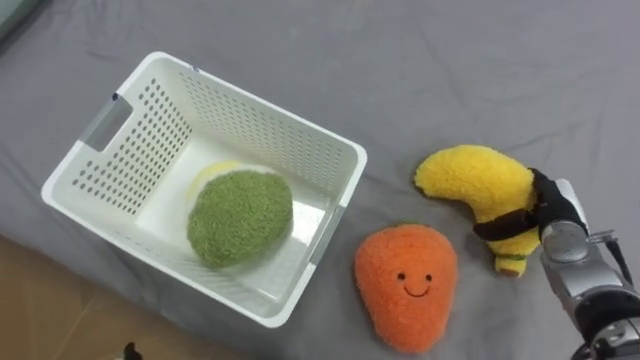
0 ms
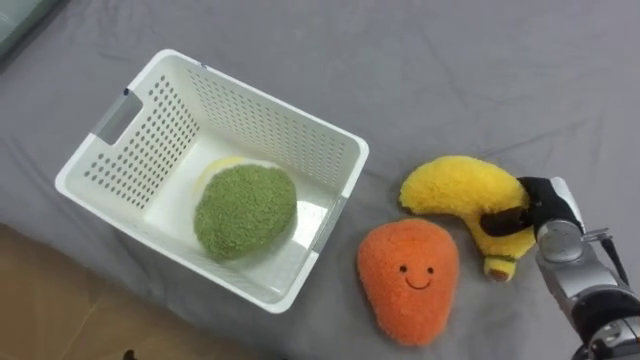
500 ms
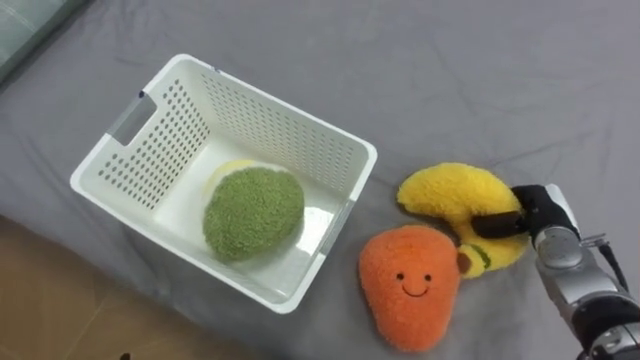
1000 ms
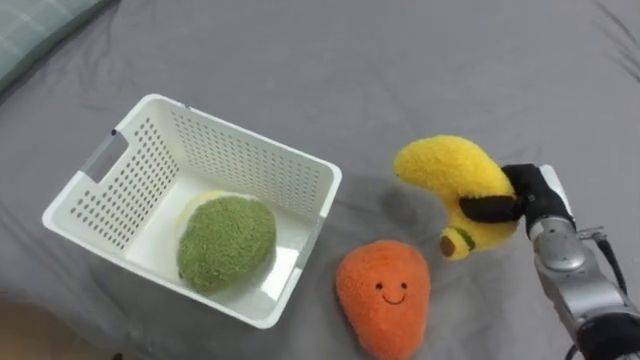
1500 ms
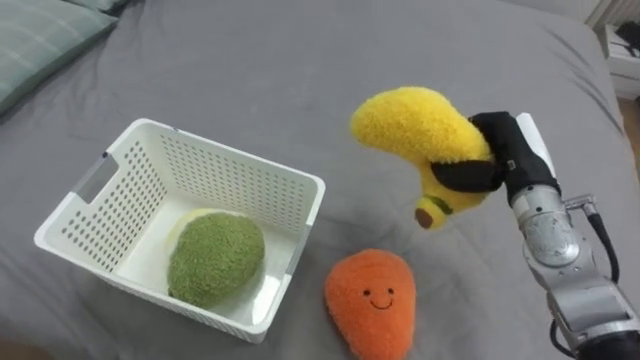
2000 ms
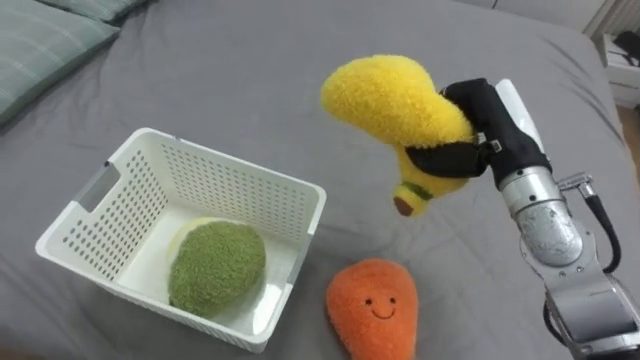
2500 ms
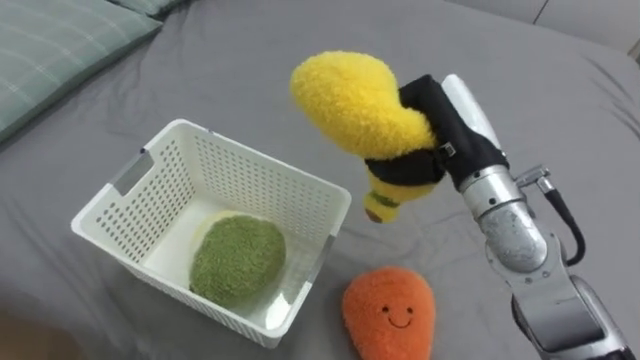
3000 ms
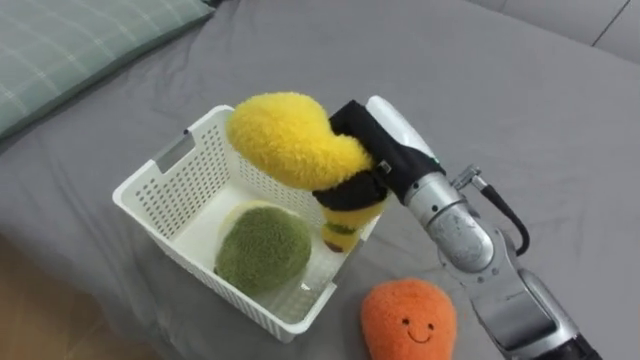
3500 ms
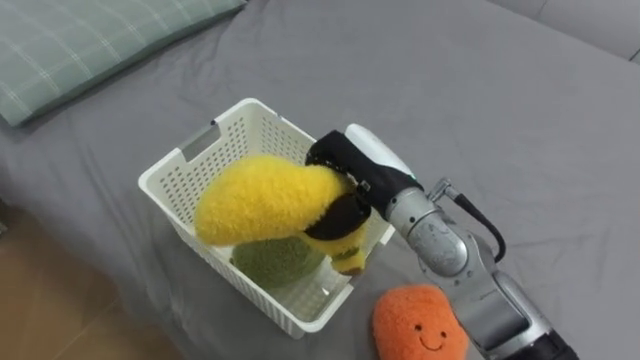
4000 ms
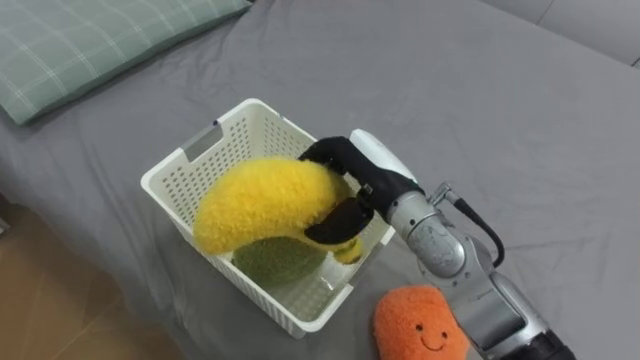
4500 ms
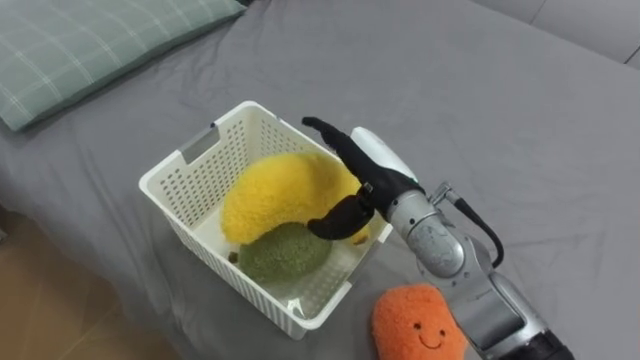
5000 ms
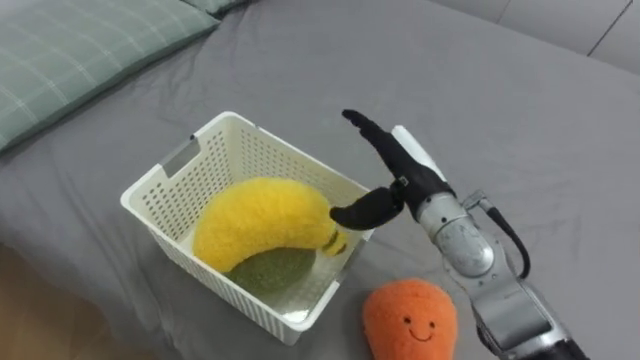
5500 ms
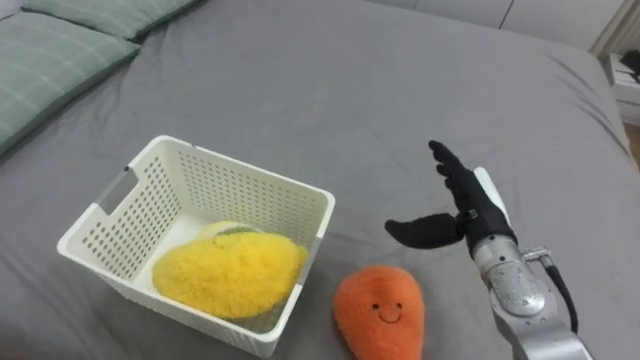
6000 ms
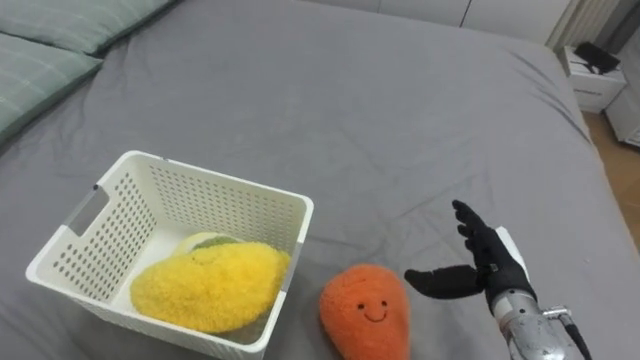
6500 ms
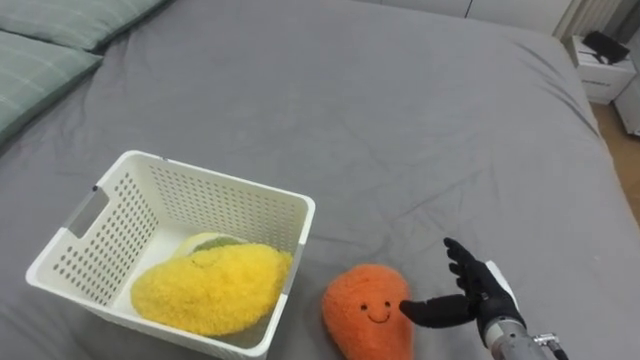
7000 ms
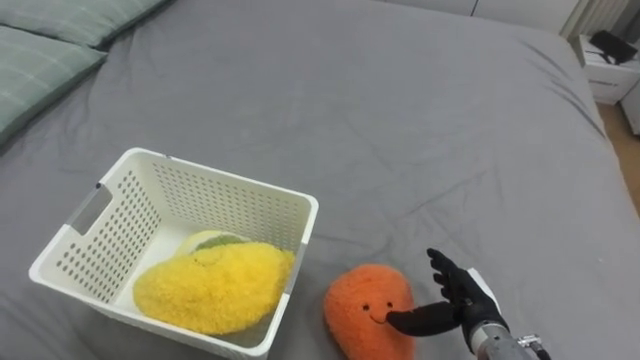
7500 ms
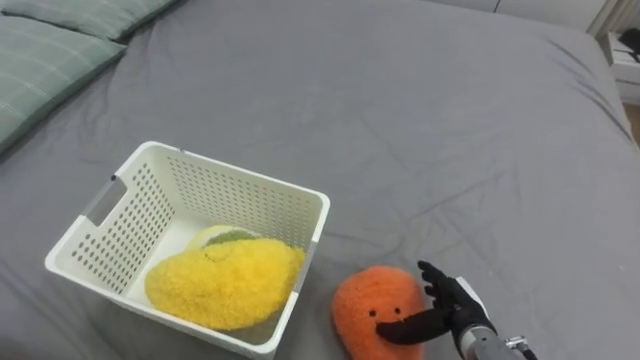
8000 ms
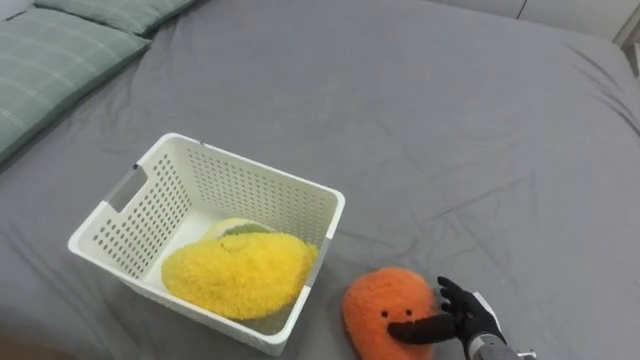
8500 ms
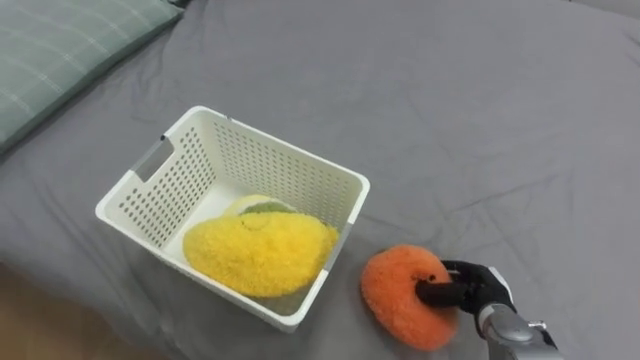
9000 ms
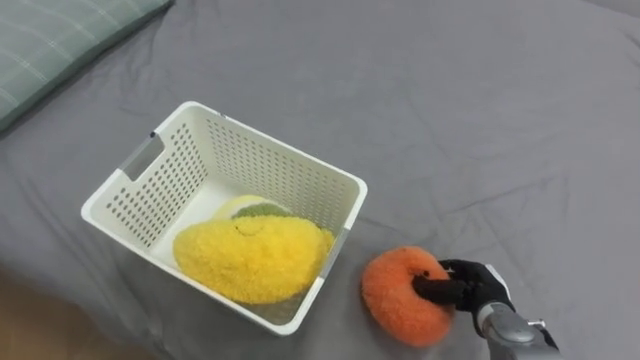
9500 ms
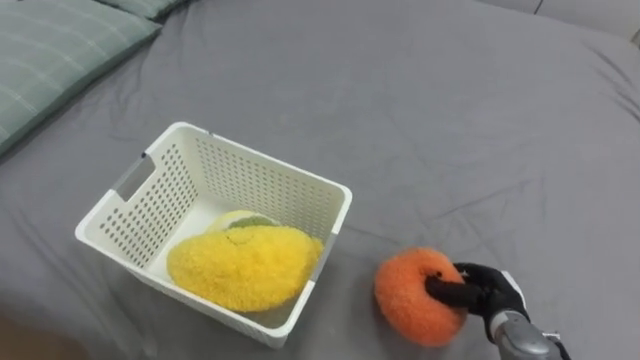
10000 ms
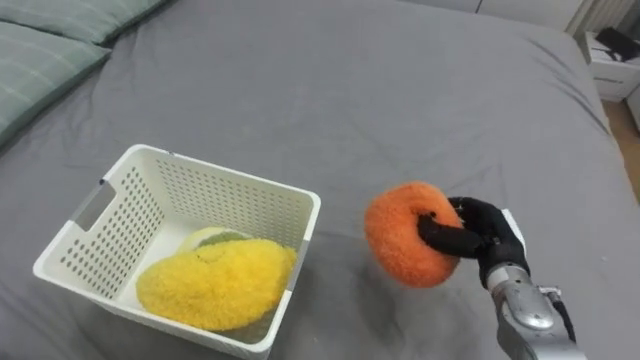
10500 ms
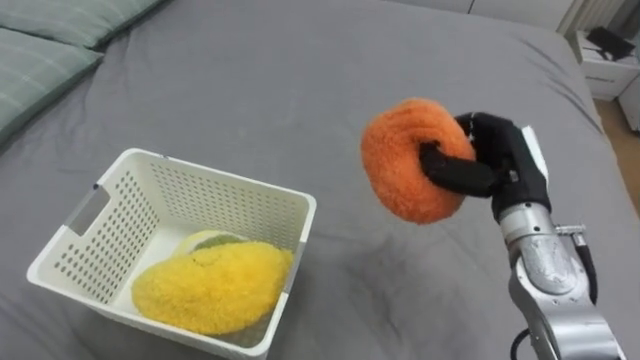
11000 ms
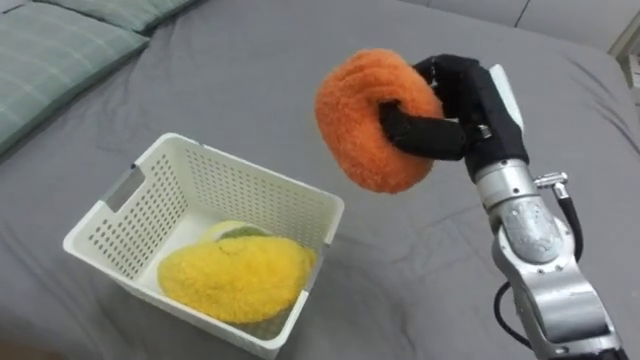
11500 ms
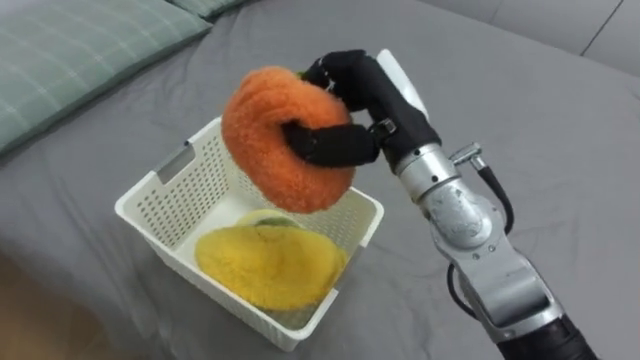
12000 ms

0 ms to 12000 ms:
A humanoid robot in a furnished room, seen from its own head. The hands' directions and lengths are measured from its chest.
Task of the whole recording: Put the toys on the bed into the basket on the left.
0 ms to 2000 ms: The right hand shifts some 10 cm upward and to the left, and closes.
2000 ms to 4000 ms: The right hand is displaced to the left by approximately 20 cm.
4000 ms to 6000 ms: The right hand heads to the right and downward, covering about 15 cm, and opens its fingers.
6000 ms to 8000 ms: The right hand goes about 15 cm downward and backward.
8000 ms to 10000 ms: The right hand shifts some 5 cm to the right, and closes its fingers.
10000 ms to 12000 ms: The right hand moves upward and to the left, roughly 35 cm.

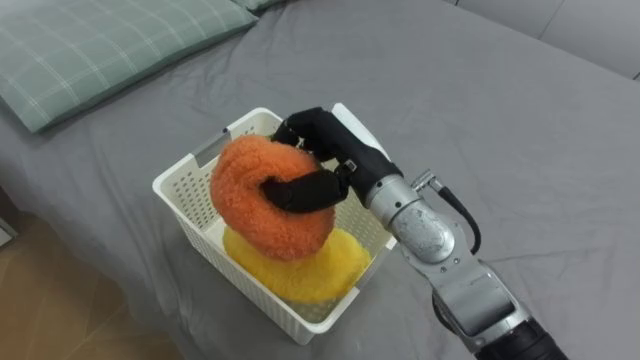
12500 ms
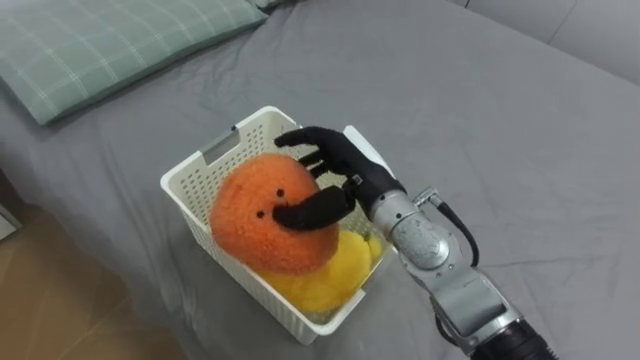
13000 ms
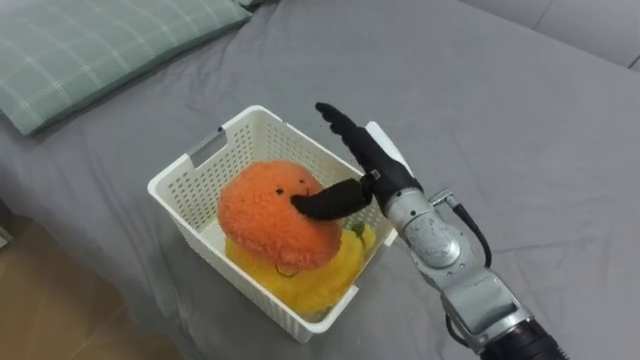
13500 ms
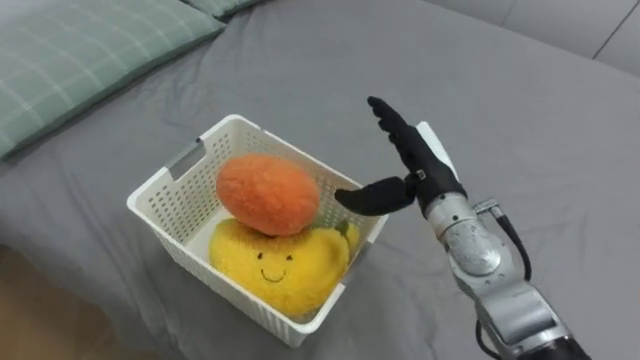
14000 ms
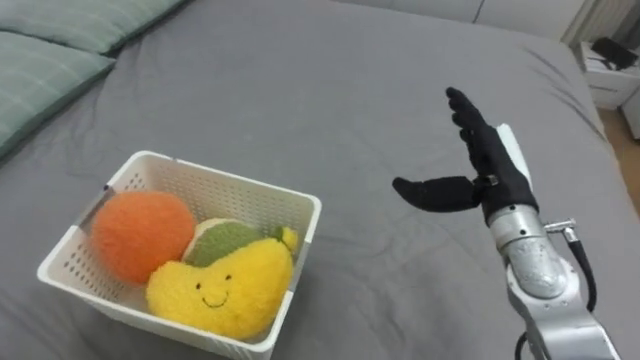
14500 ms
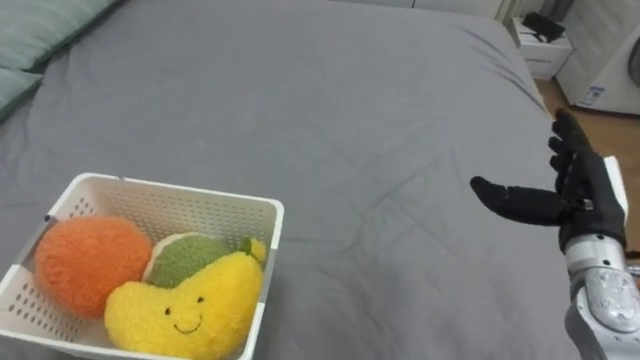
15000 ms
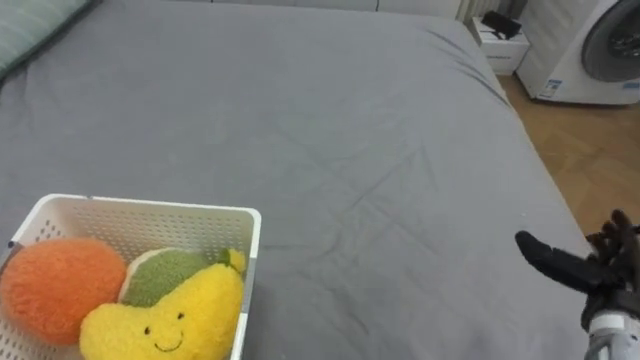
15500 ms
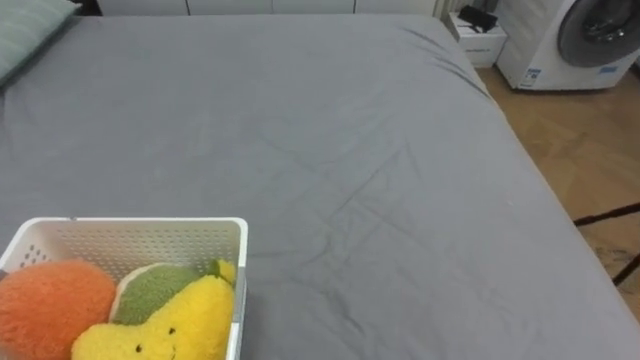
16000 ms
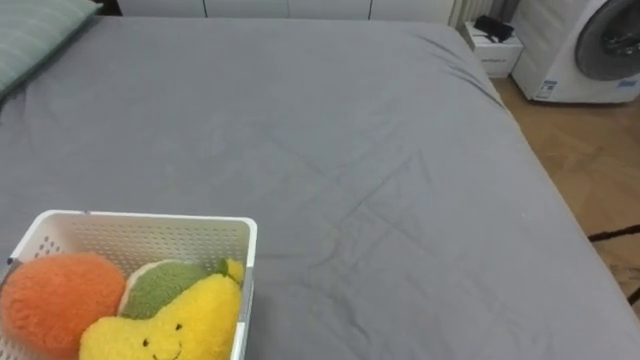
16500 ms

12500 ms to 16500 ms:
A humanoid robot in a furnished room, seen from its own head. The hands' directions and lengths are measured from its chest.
Task of the whole recording: Put the toys on the bed into the basket on the left.
12500 ms to 14500 ms: The right hand goes about 15 cm to the right, and opens its fingers.

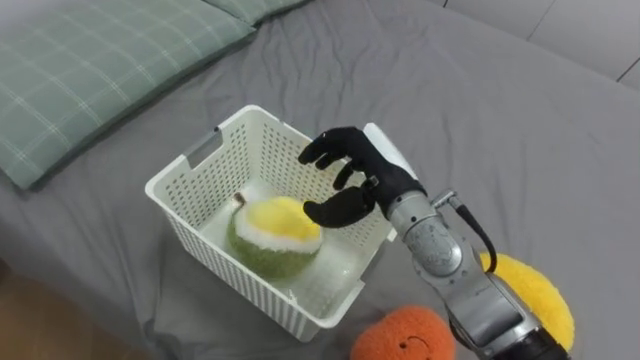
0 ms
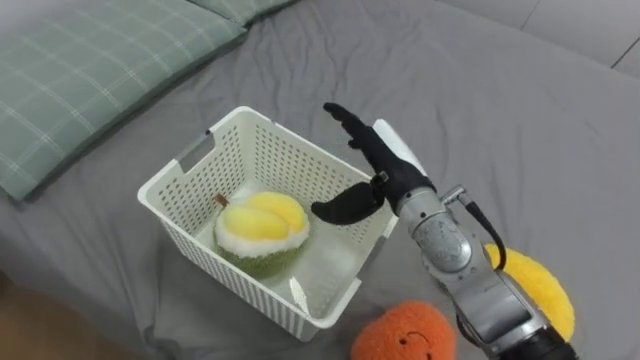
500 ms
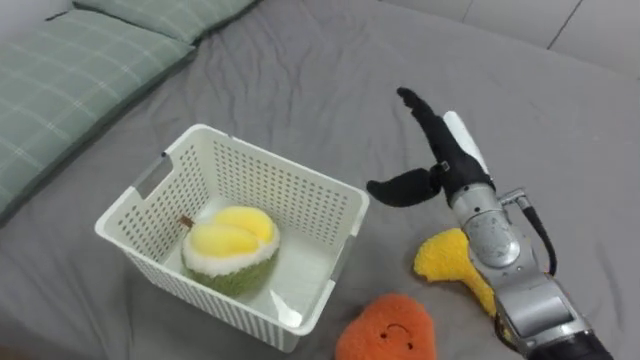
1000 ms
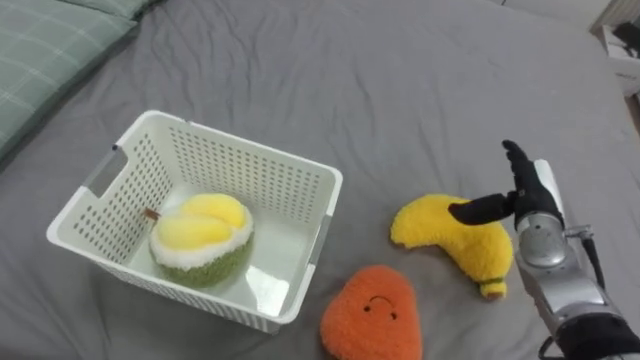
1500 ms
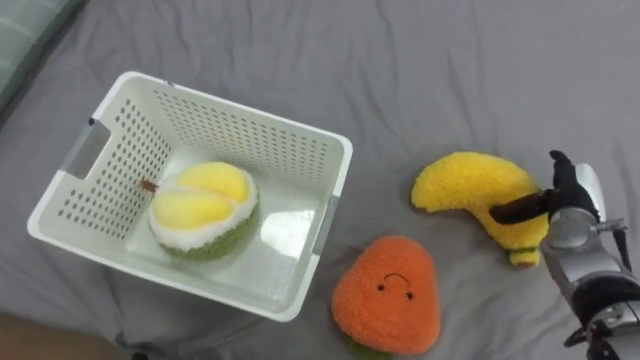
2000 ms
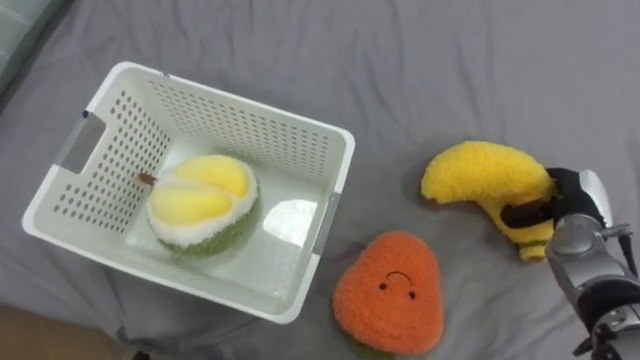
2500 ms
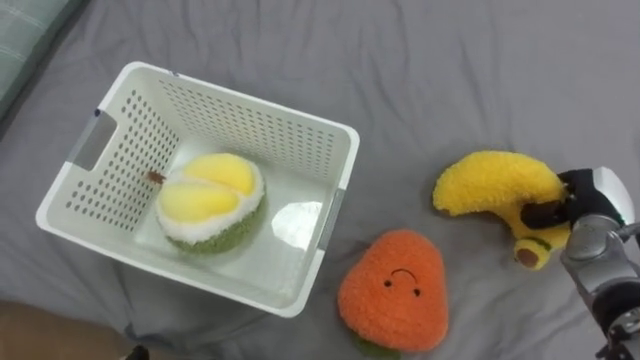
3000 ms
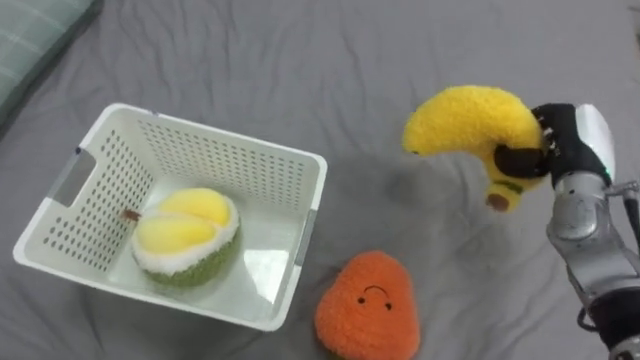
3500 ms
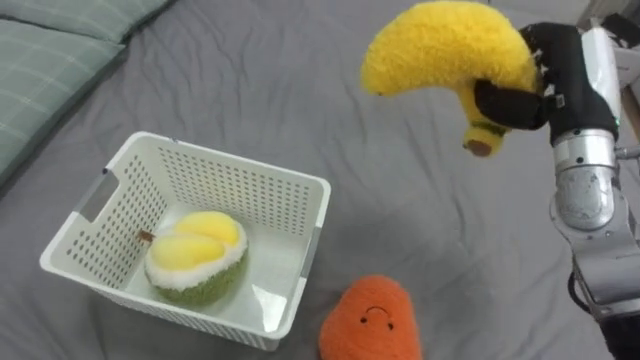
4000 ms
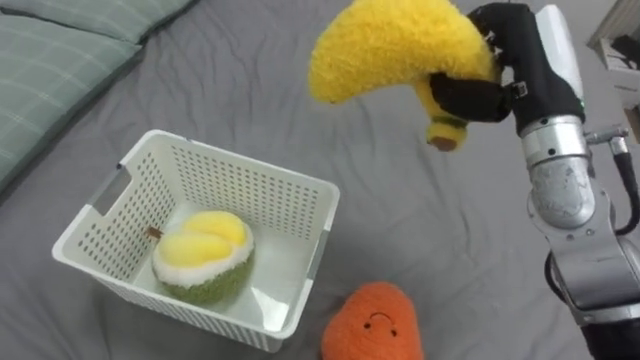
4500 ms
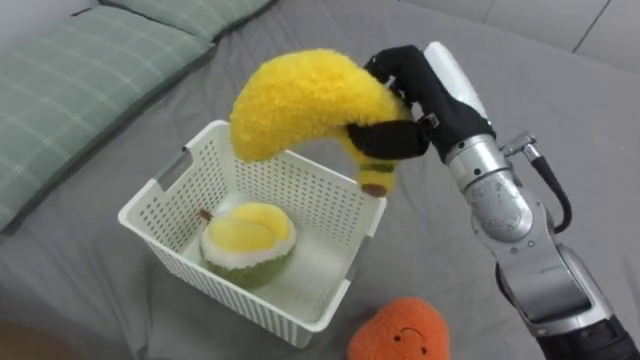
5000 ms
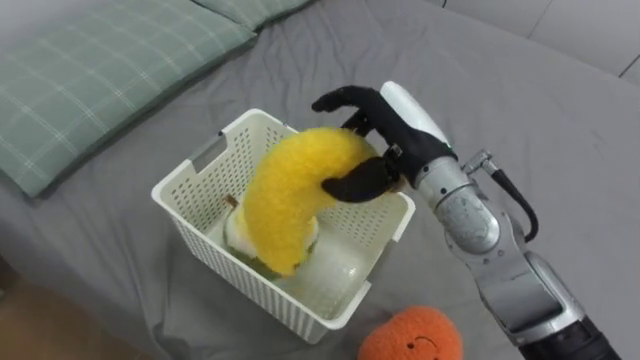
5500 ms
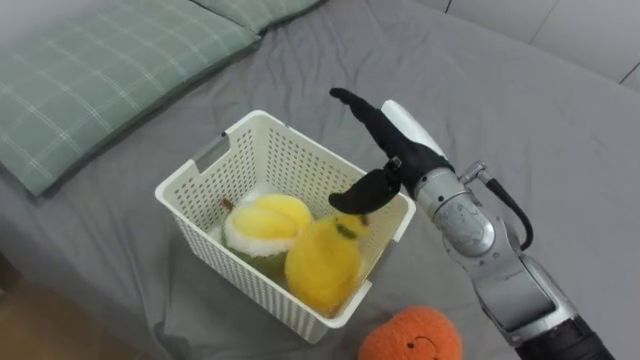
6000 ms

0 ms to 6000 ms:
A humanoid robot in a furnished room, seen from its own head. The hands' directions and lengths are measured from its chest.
Task of the whole recording: Put the toys on the bed into the basket on the left.
0 ms to 2000 ms: The right hand travels to the right by approximately 25 cm, and opens.
2000 ms to 4000 ms: The right hand heads upward, covering approximately 20 cm, and closes.
4000 ms to 6000 ms: The right hand heads to the left, covering approximately 15 cm, and opens up.
